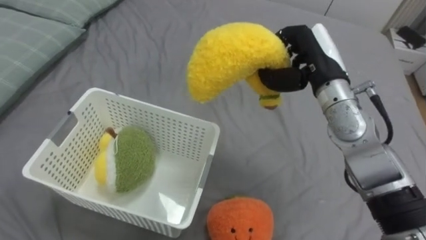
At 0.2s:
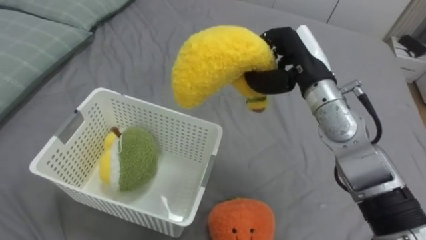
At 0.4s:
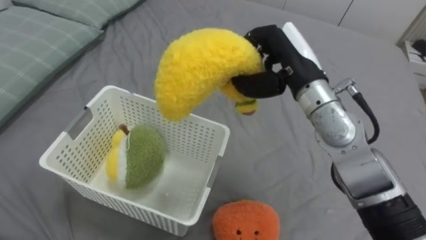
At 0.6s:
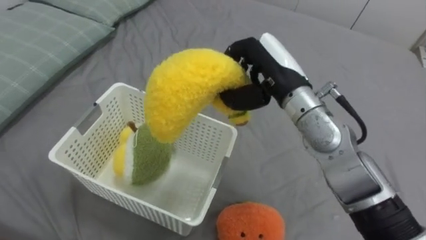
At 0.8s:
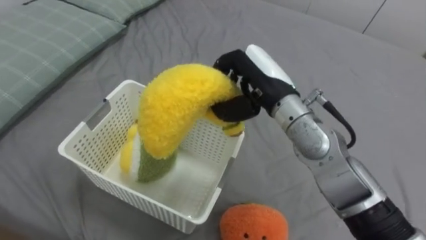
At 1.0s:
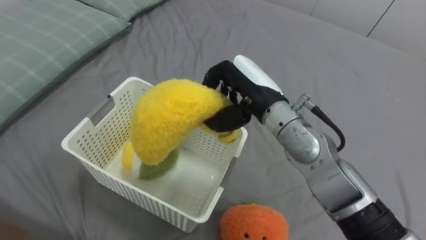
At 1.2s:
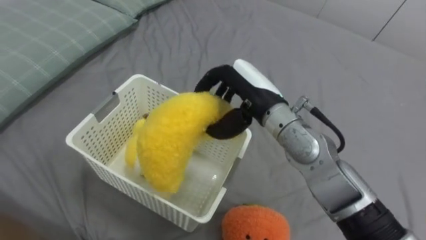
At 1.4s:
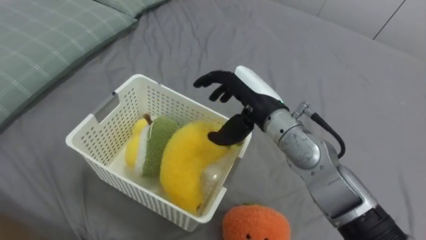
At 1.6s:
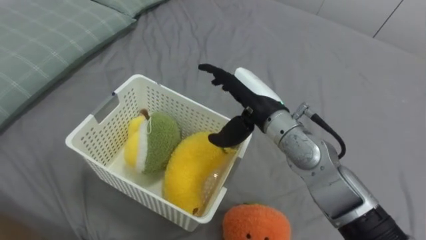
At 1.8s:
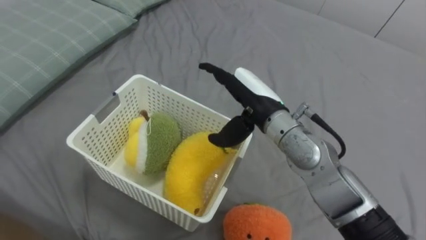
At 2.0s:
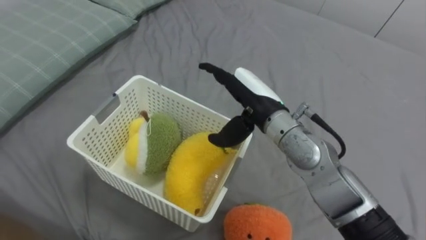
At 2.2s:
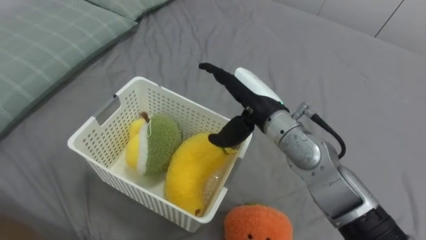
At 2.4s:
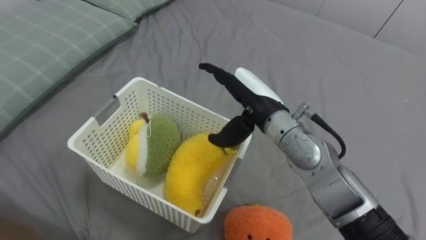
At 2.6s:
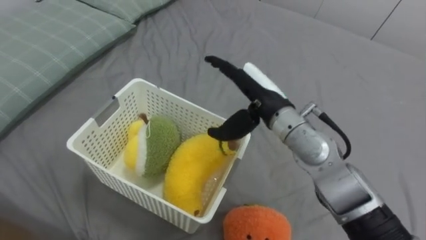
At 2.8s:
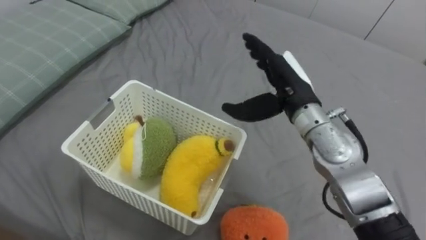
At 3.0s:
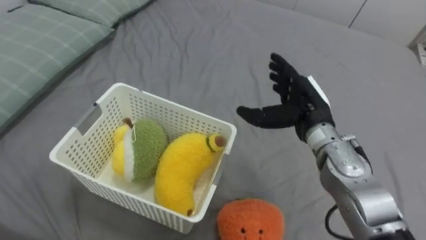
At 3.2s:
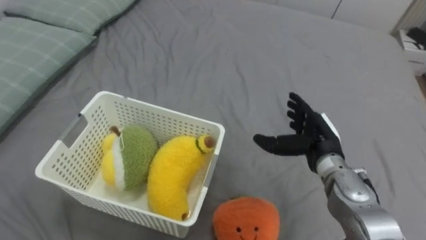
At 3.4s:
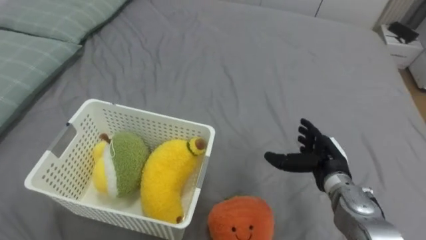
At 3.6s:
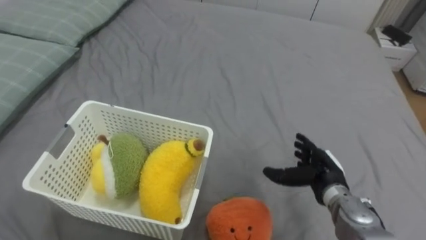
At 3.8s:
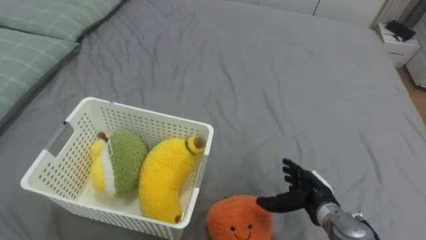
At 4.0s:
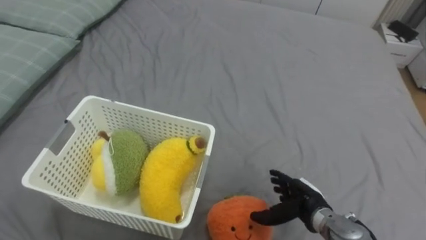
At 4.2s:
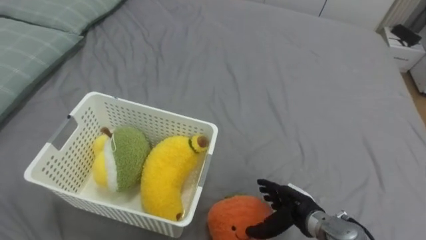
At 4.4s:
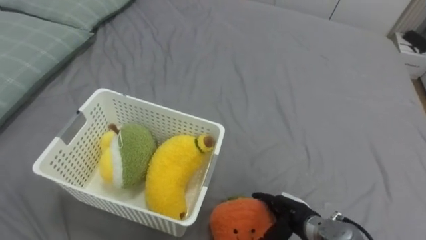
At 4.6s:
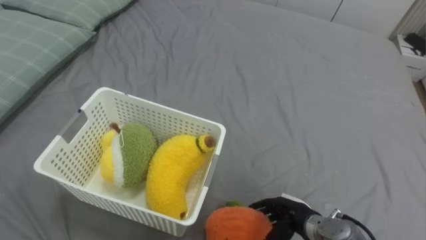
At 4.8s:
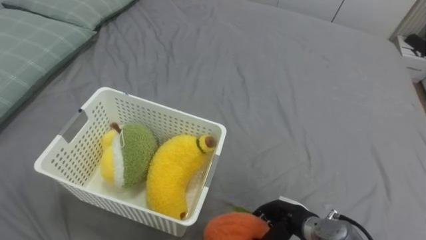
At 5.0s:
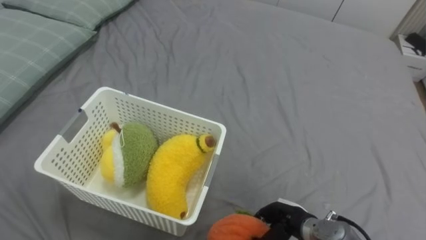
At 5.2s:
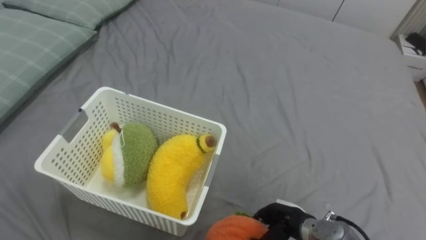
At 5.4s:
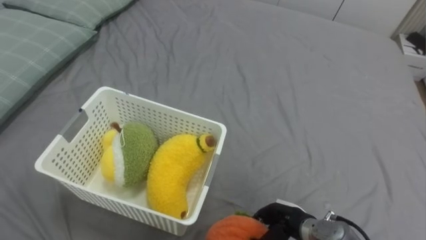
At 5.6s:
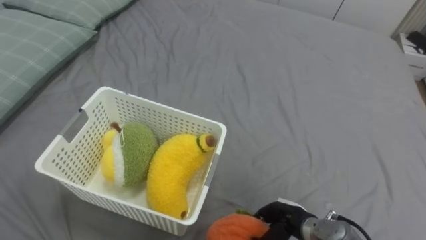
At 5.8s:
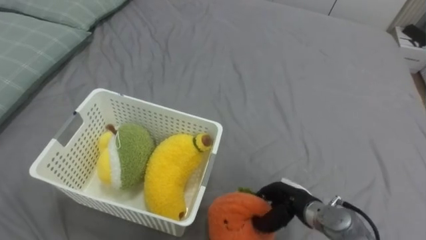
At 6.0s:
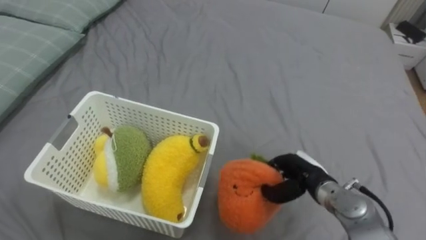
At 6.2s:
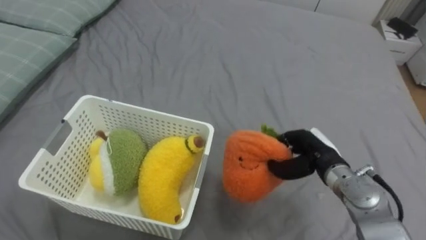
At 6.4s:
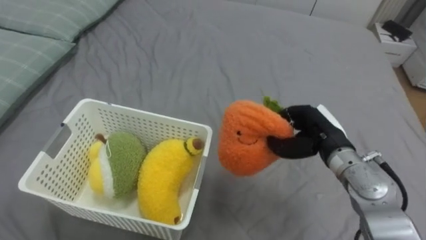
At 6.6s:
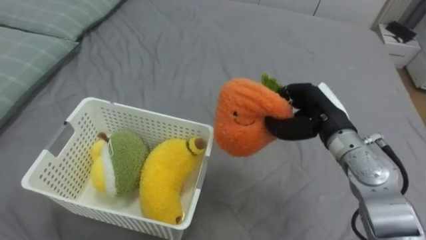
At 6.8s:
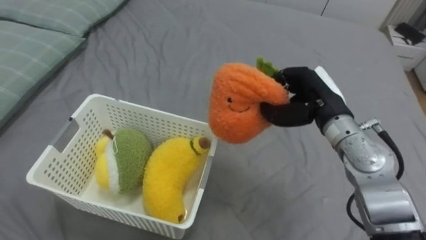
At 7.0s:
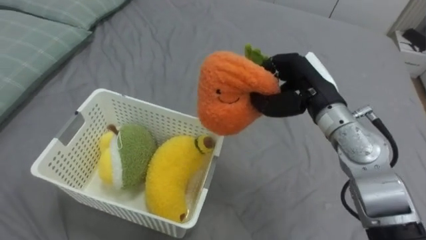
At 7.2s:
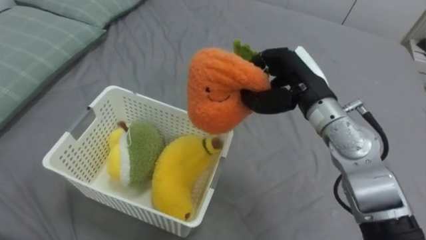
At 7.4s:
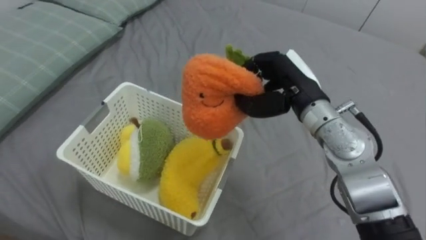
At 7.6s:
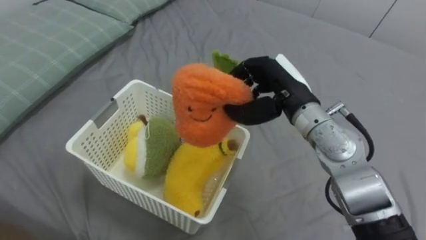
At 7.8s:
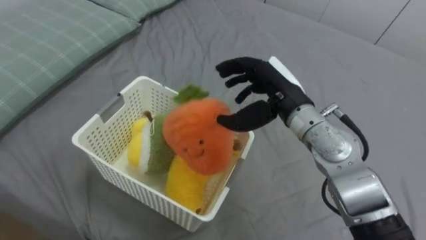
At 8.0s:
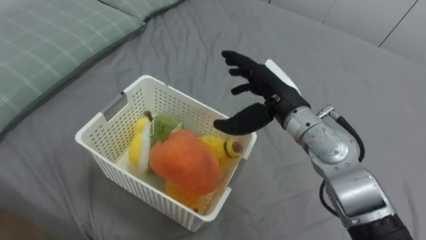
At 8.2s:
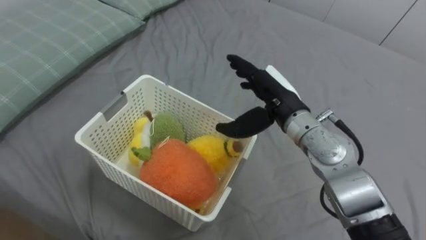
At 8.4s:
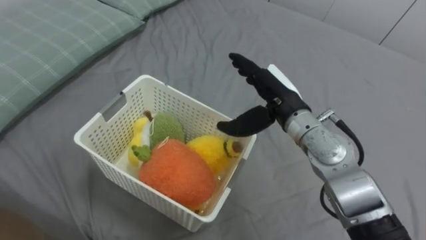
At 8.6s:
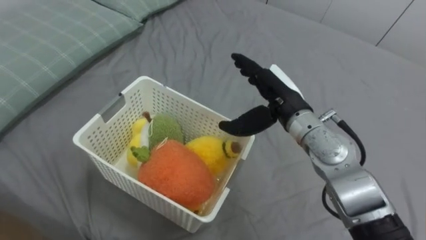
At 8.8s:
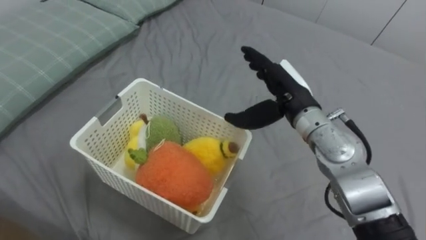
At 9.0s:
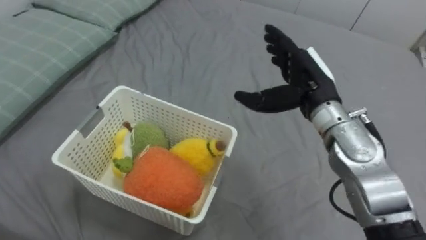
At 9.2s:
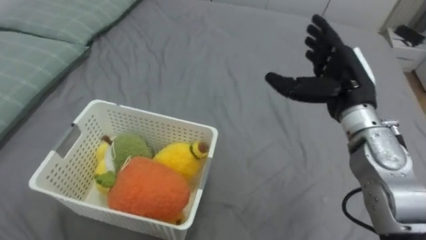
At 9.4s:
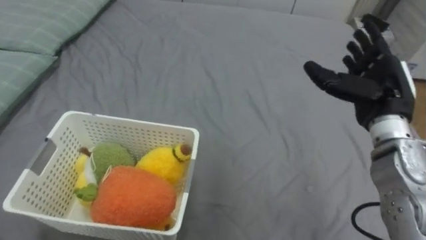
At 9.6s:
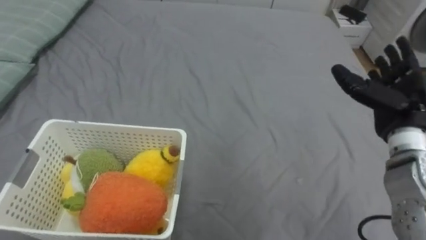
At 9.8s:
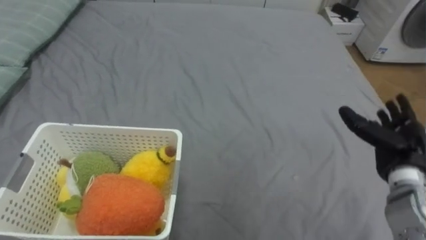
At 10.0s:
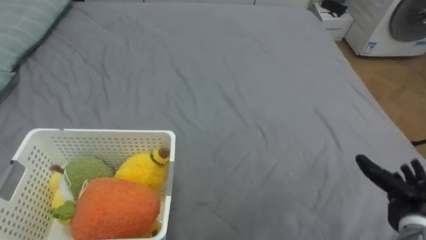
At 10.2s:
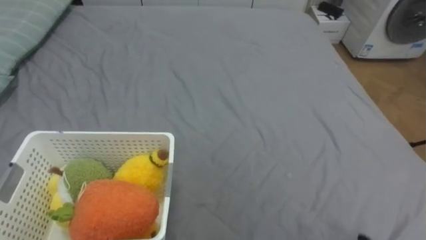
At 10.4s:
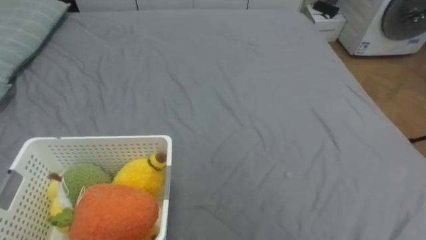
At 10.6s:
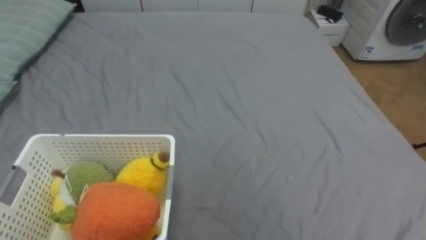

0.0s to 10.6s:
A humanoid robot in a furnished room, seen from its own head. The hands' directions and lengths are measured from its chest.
Task of the whole recording: Put the toys on the bed into the basket on the left.
0.0s to 1.6s: The right hand goes roughly 10 cm to the left, and opens.
1.6s to 3.0s: The right hand shifts approximately 10 cm to the right.
3.0s to 4.6s: The right hand travels downward and backward by some 25 cm.
4.6s to 6.0s: The right hand heads upward and forward, covering some 10 cm, and closes up.
6.0s to 7.6s: The right hand heads upward and forward, covering approximately 20 cm.
7.6s to 9.0s: The right hand opens.

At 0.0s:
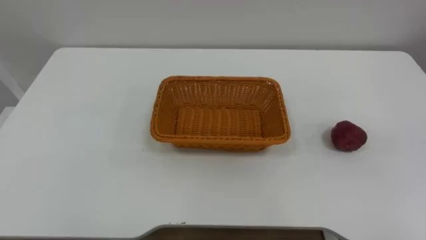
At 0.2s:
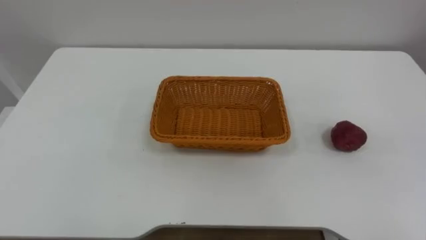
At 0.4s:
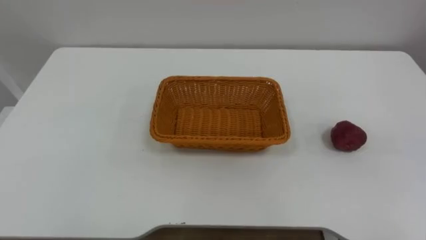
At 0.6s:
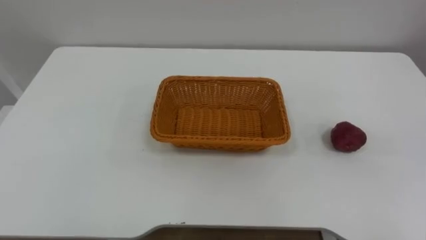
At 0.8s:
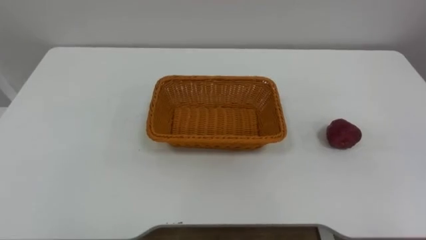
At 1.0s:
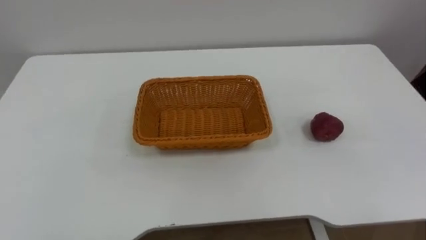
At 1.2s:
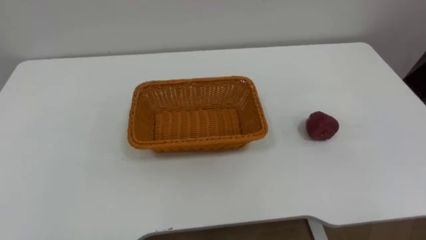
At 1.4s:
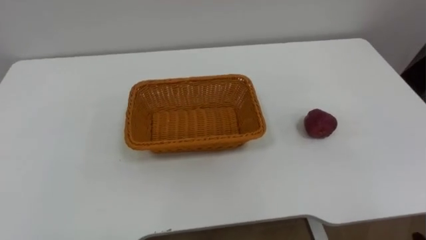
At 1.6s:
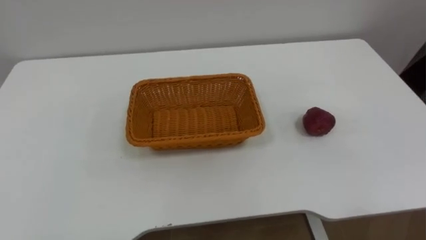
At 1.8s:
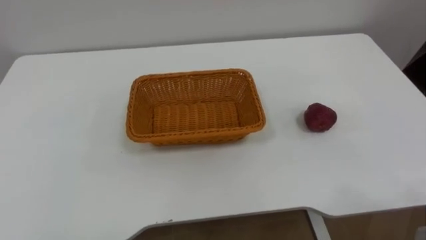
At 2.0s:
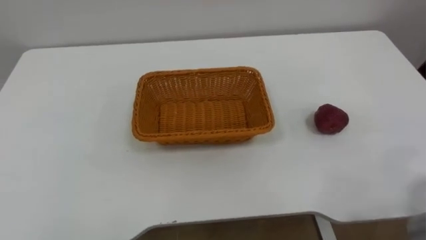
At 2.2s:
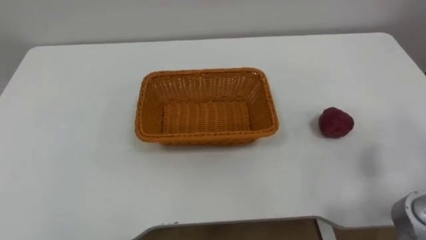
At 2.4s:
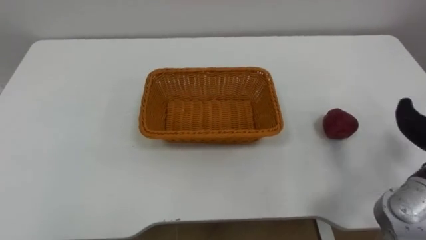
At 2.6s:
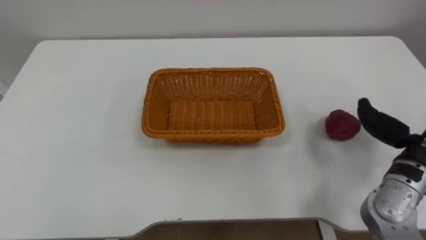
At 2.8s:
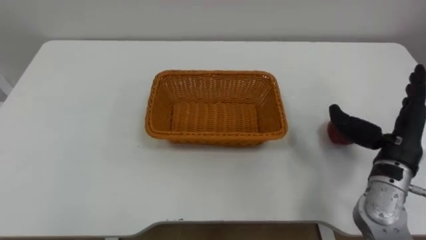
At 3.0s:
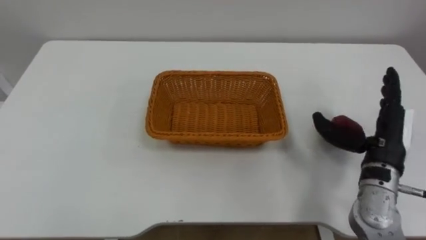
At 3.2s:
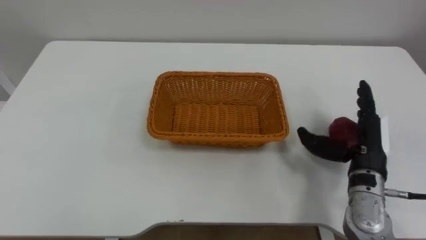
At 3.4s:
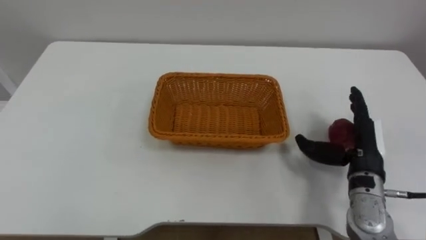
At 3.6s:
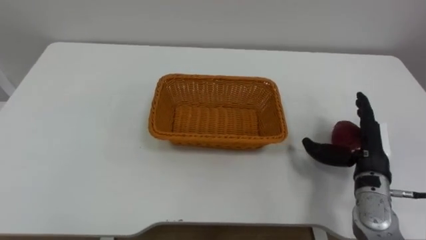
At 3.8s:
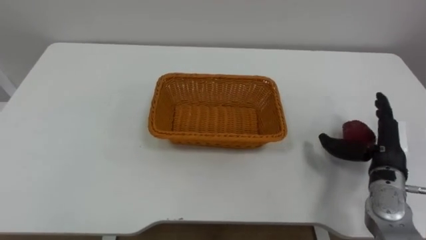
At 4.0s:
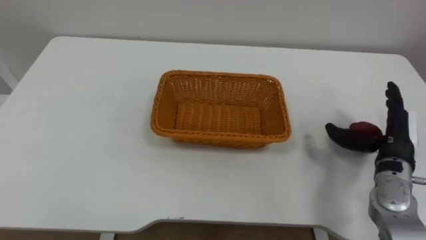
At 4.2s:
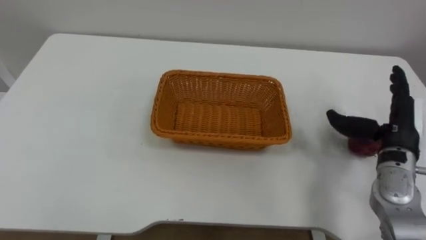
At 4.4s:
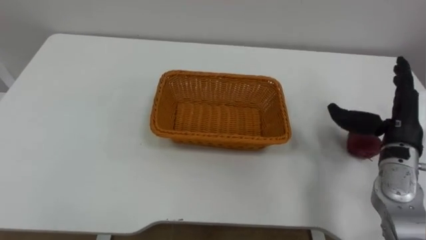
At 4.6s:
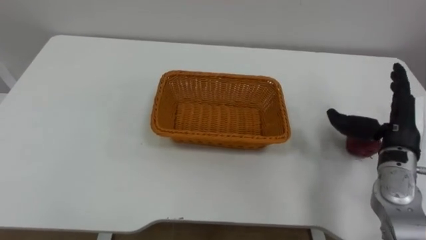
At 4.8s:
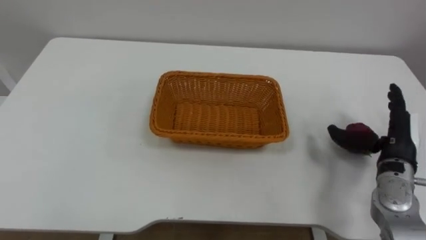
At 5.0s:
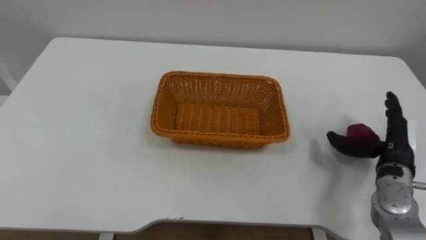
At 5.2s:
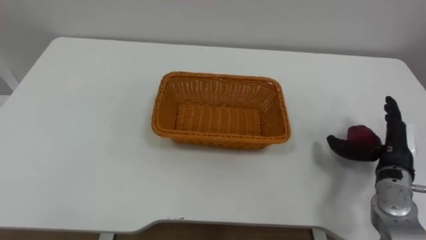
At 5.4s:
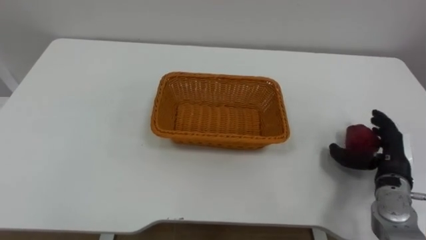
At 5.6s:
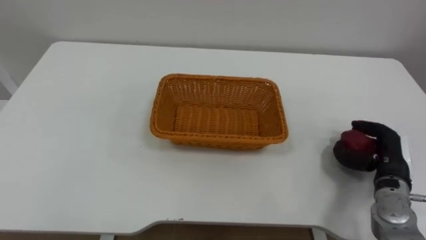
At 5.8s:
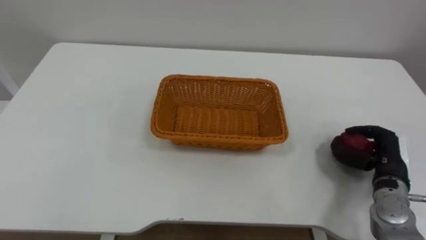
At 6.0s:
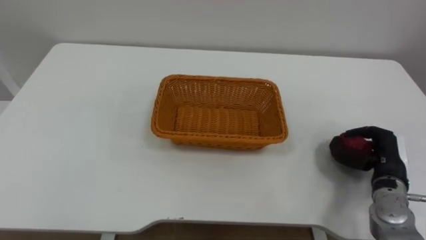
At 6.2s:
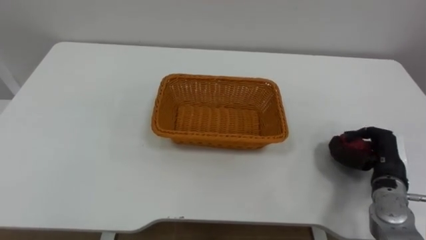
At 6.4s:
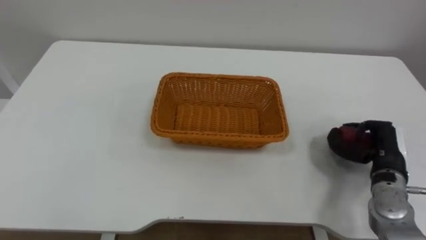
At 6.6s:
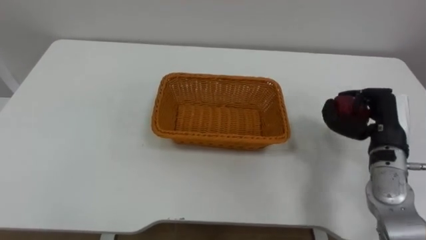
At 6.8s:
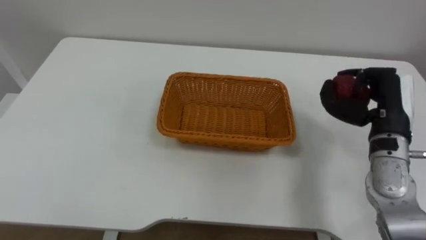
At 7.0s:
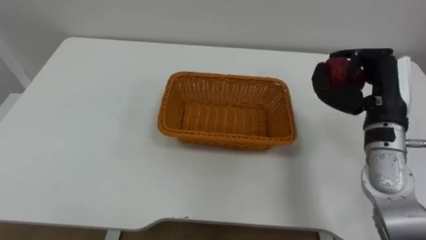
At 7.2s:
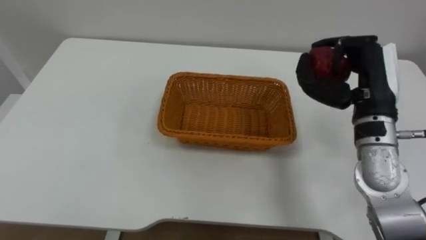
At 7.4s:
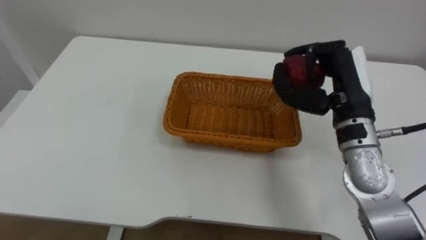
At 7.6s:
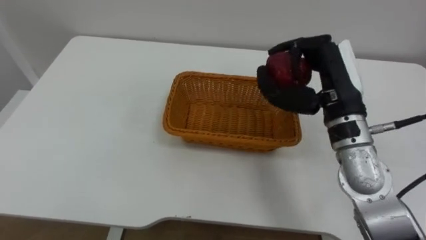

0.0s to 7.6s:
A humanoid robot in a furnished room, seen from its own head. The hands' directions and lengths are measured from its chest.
Task of the whole recording: Pick the apple and place it in the box.
4.6s to 6.0s: The right hand heads downward, covering about 10 cm, and closes its fingers.
6.0s to 7.6s: The right hand heads upward and to the left, covering about 25 cm.
